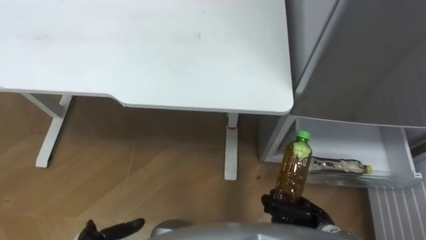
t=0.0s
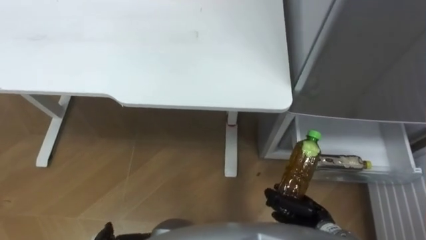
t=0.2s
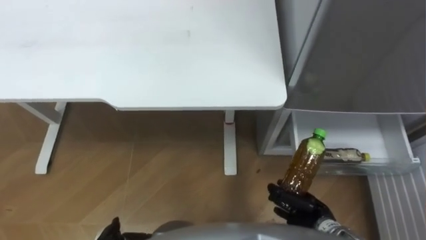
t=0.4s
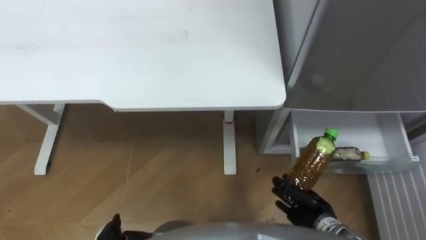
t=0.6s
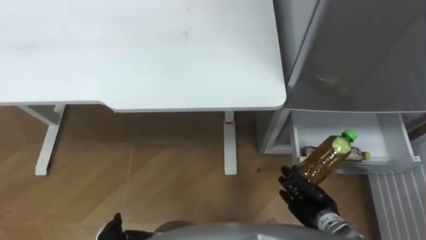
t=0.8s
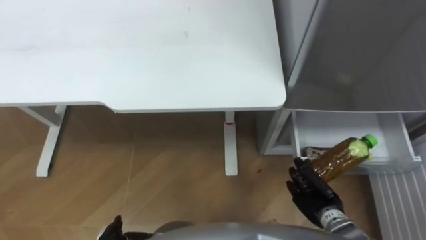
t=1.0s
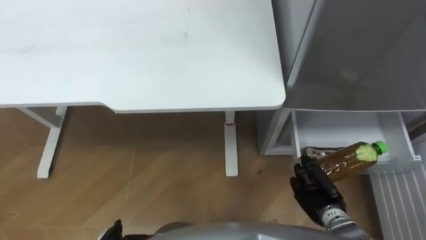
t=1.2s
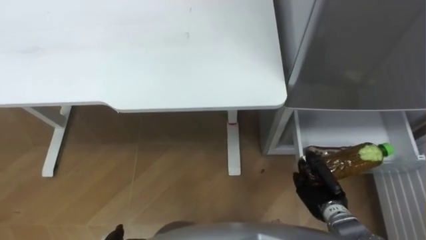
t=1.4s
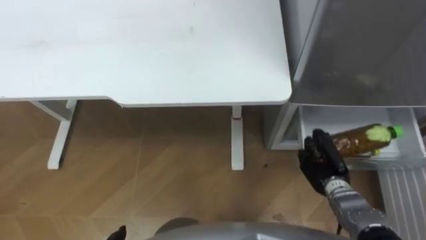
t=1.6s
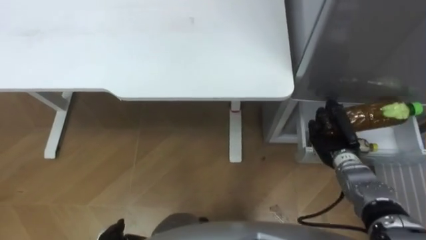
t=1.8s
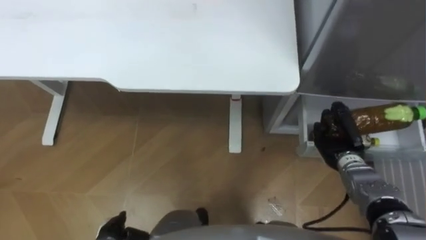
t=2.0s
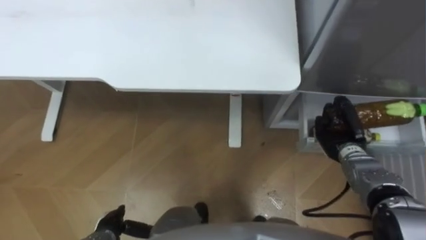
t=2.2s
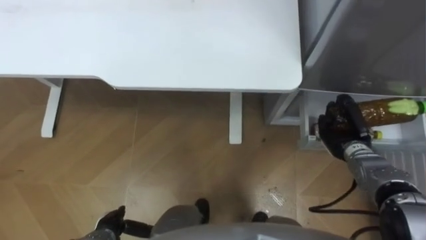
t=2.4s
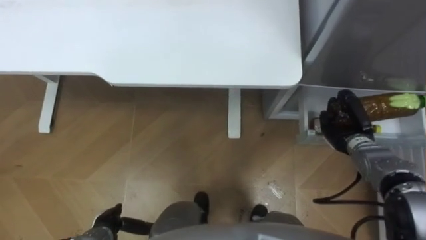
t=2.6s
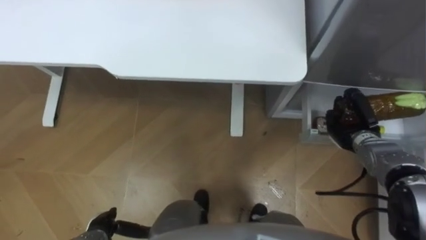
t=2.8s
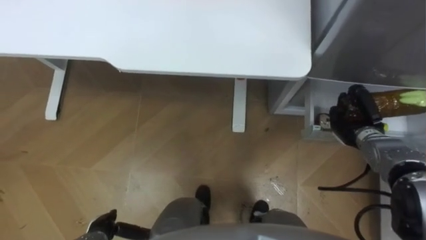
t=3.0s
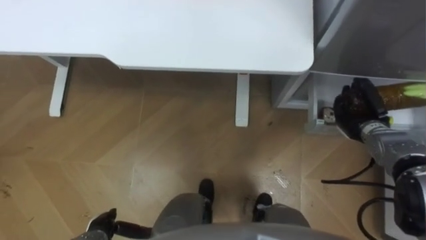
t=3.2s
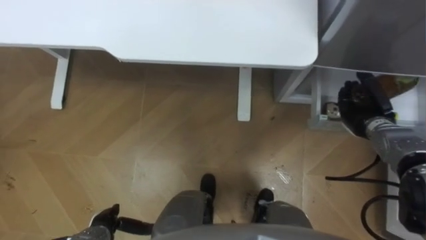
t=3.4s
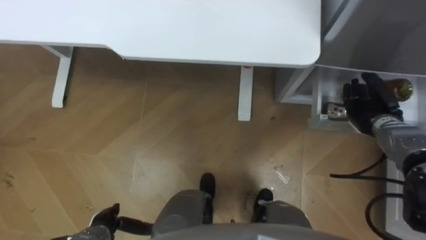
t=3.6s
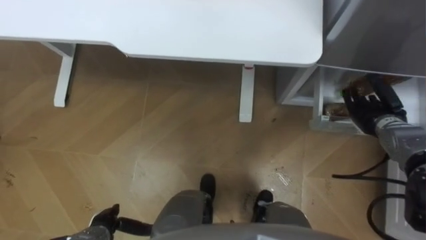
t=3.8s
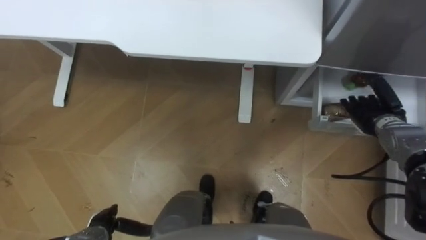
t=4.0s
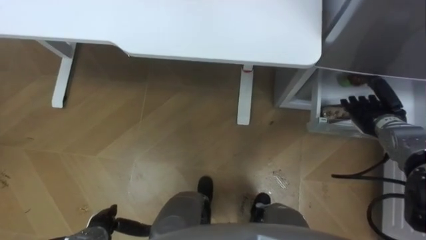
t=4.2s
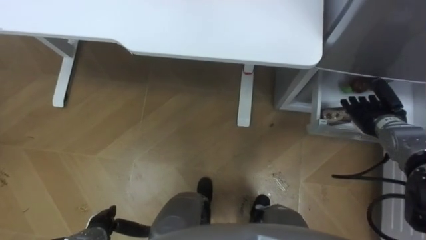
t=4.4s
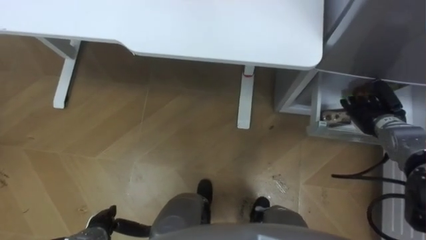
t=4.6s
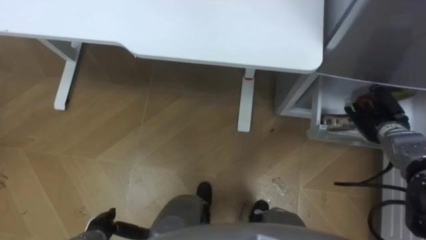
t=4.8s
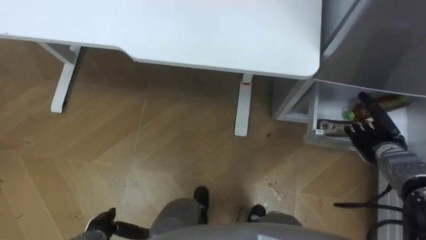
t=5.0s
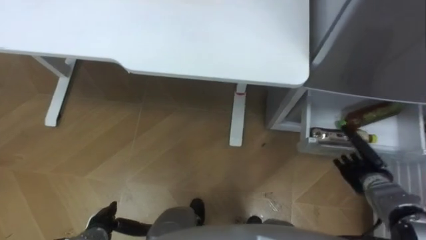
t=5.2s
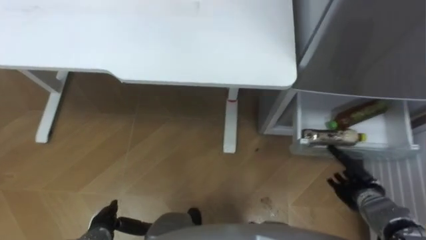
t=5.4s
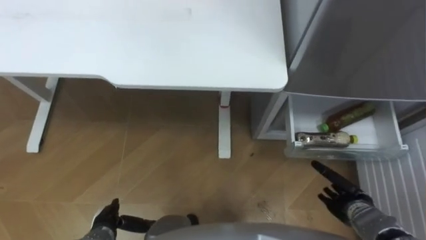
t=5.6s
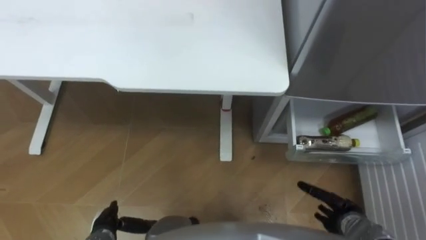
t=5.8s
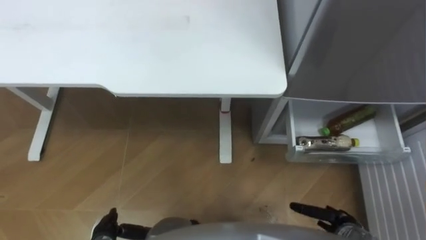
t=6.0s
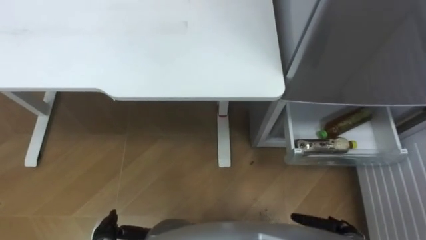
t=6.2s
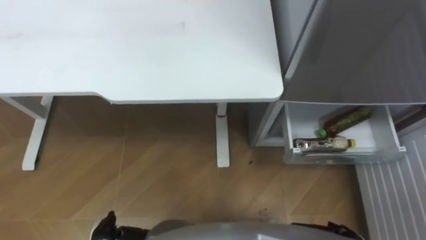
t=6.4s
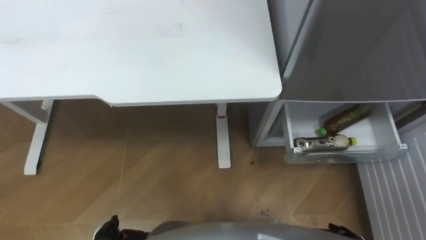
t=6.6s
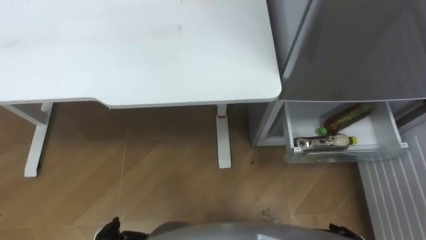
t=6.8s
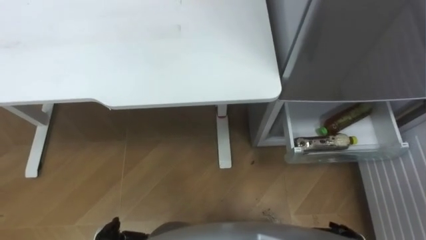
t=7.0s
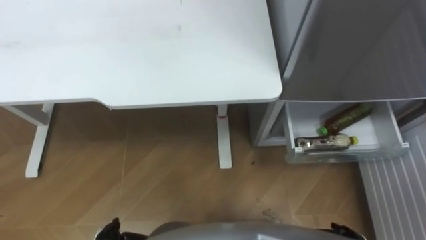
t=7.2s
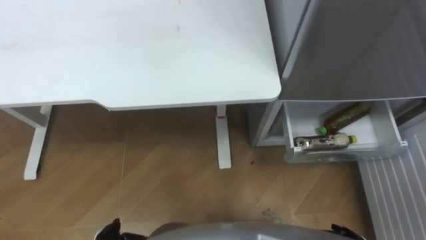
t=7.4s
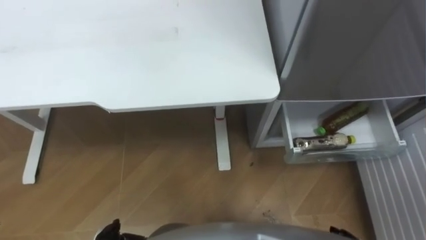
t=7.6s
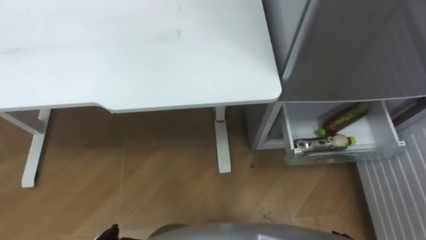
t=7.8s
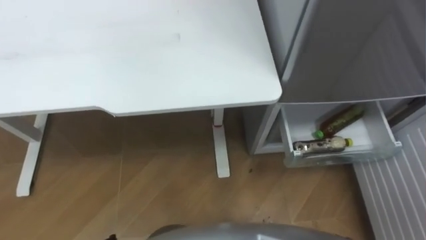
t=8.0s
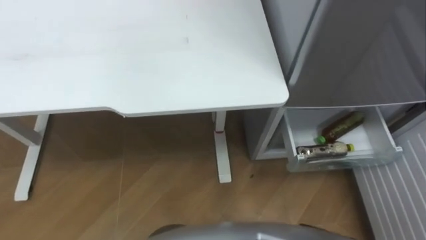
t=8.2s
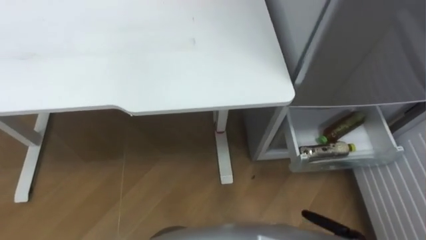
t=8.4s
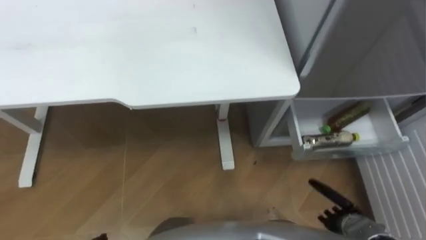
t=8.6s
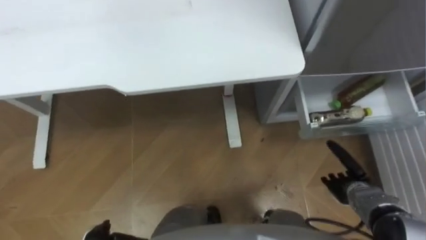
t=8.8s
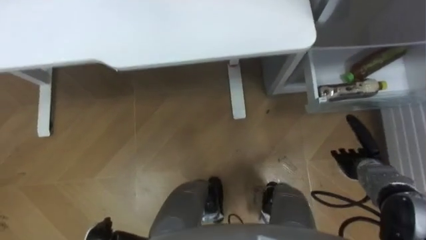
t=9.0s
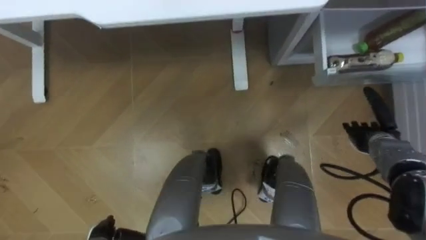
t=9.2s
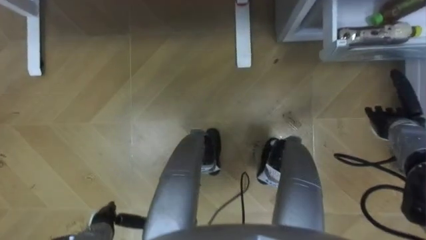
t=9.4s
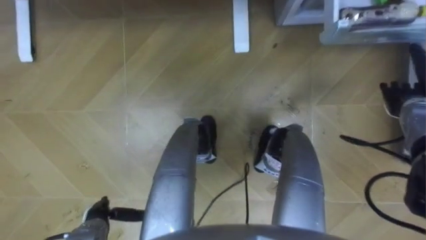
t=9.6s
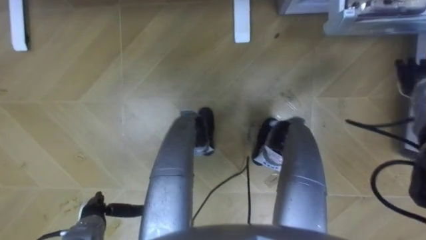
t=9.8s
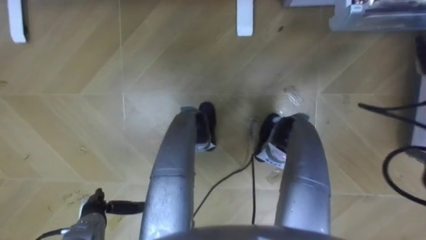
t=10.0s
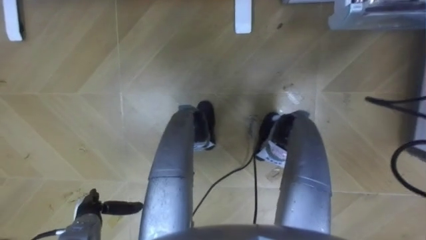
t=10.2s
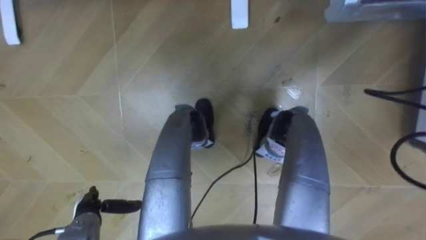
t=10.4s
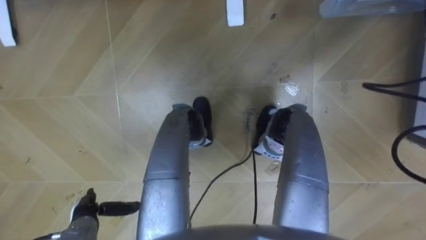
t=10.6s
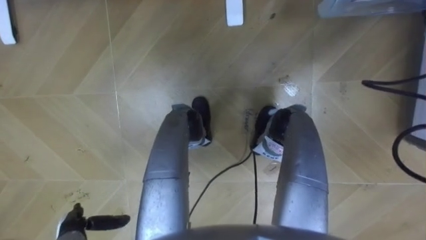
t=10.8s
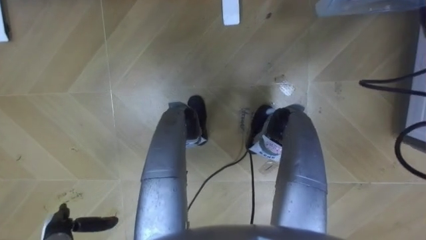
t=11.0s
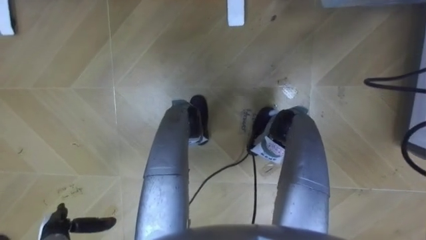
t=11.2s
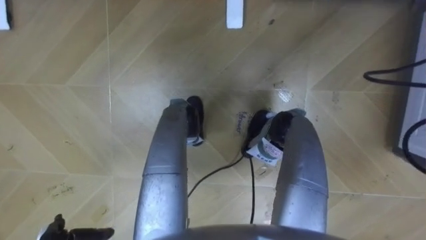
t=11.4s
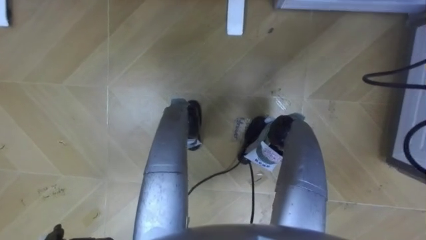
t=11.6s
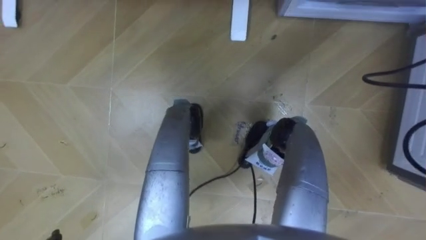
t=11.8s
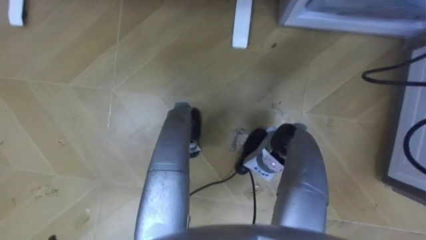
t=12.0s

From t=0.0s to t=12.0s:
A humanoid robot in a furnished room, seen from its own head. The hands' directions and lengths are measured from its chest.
Task of the whole recording: Place the drink on the table on the bottom shelf of the refrigerator, then close the drawer and the refrigerator door.
From t=0.0s to t=1.6s: The right hand travels forward by some 5 cm.
From t=1.6s to t=3.0s: The right hand heads forward, to the right and upward, covering about 15 cm.
From t=3.0s to t=4.4s: The right hand changes place by some 5 cm, and opens its fingers.
From t=4.4s to t=6.0s: The right hand shifts roughly 25 cm backward and downward.

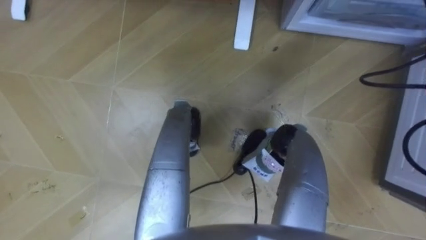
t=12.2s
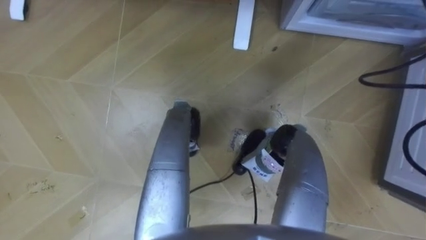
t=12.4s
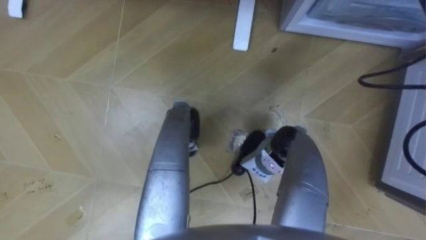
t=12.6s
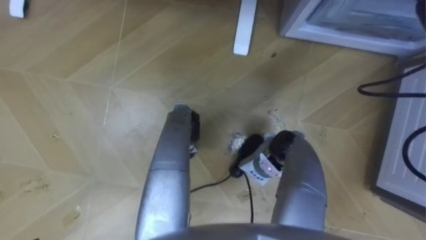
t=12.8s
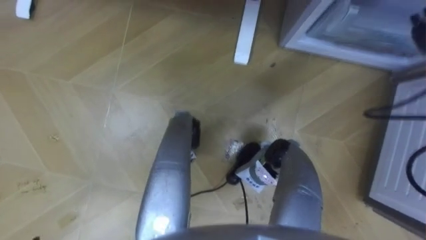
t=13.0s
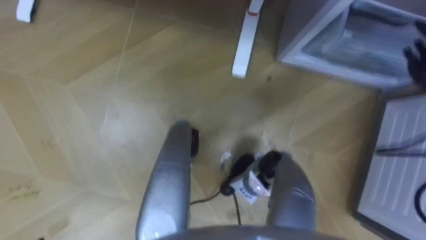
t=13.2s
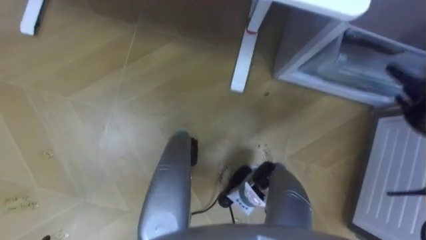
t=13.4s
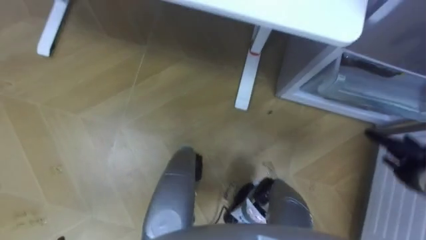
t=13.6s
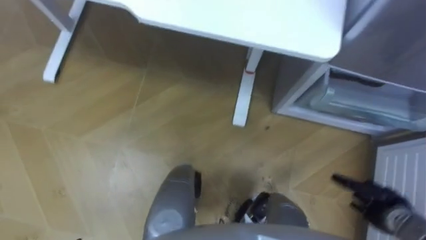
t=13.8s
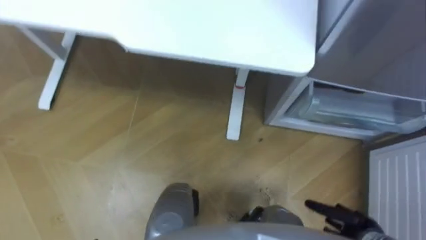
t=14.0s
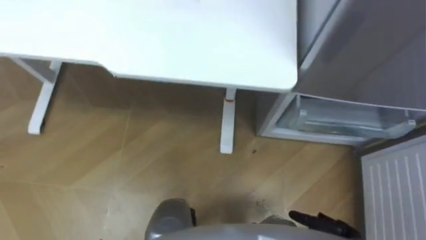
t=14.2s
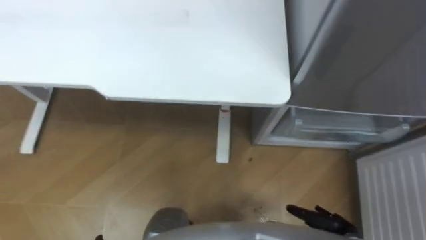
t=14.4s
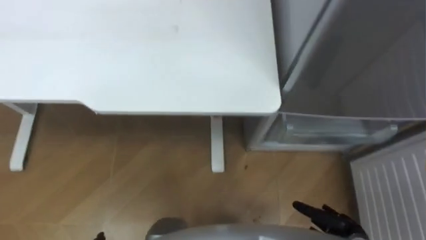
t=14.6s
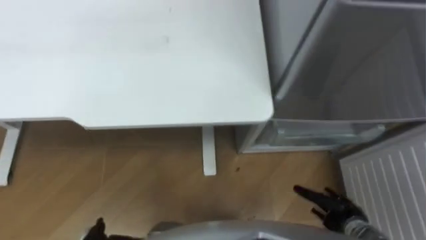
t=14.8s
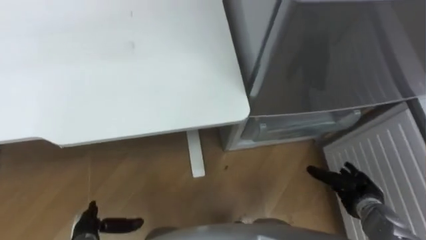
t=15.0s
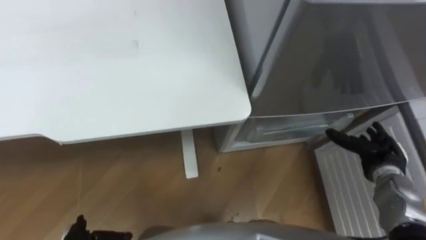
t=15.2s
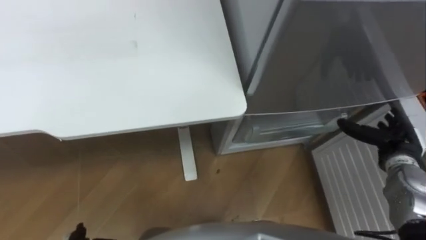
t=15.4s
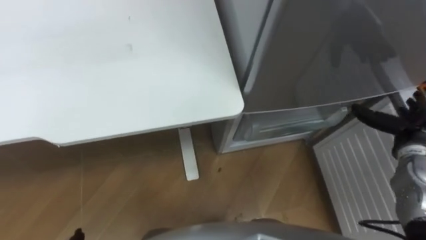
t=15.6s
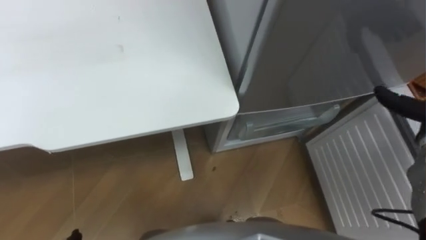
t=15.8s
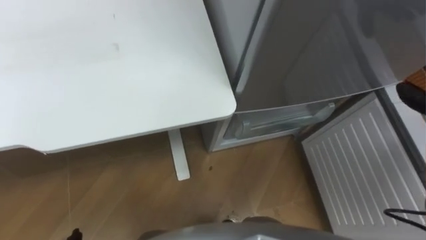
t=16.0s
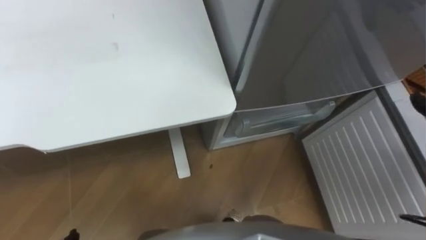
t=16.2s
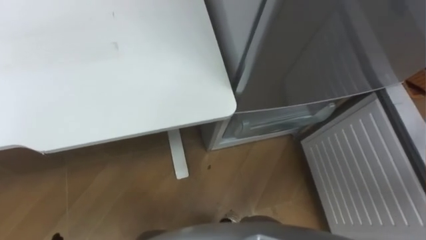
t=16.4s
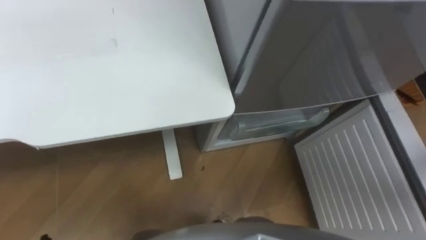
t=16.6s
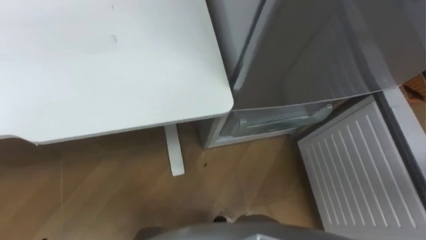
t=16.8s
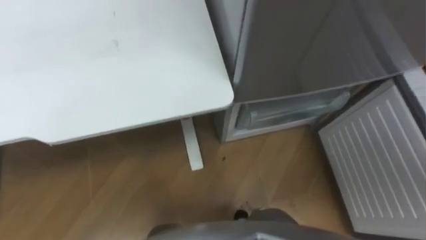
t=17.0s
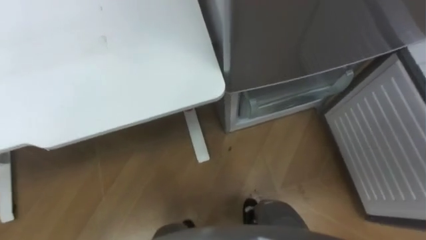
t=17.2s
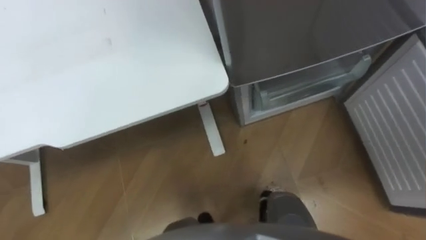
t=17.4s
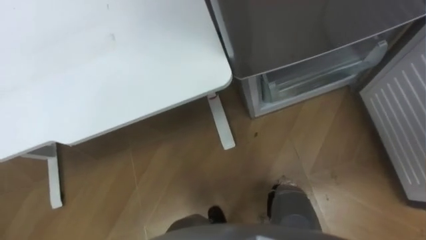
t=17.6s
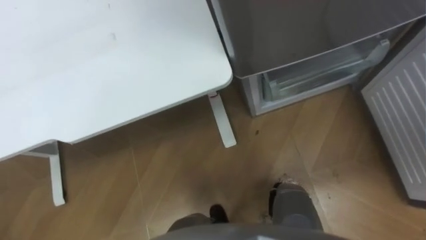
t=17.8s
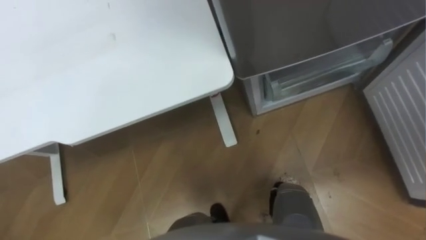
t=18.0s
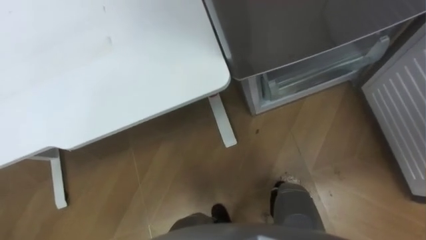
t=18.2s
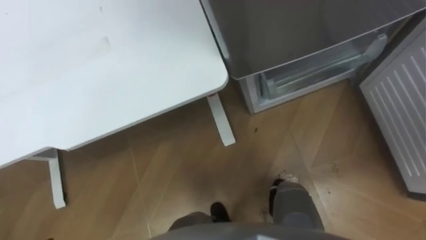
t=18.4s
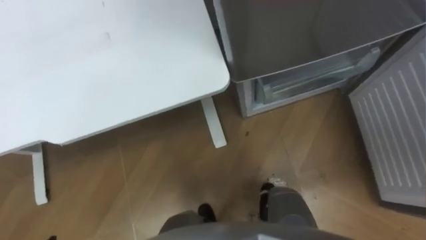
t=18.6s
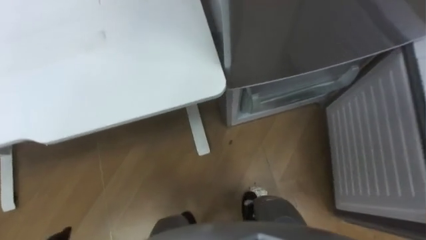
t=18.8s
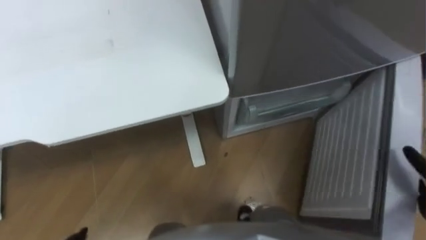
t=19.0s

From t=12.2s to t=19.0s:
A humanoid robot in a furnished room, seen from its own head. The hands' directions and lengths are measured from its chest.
Task of the whole recording: Place the drink on the table on the bottom shelf of the refrigerator, then close the drawer and the refrigerator door.
From t=13.6s to t=15.0s: The right hand moves to the left, downward and backward, approximately 20 cm.
